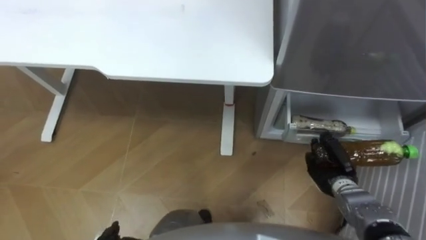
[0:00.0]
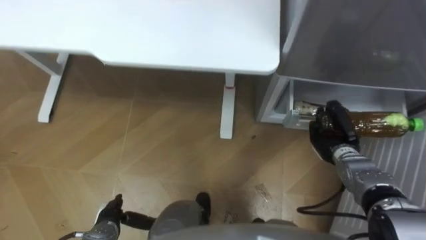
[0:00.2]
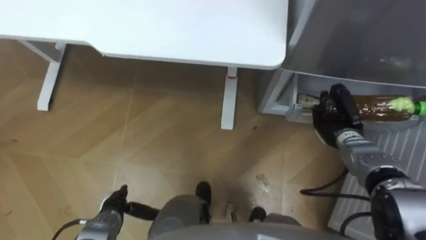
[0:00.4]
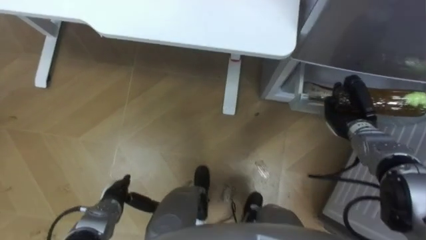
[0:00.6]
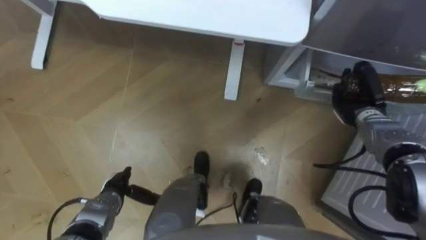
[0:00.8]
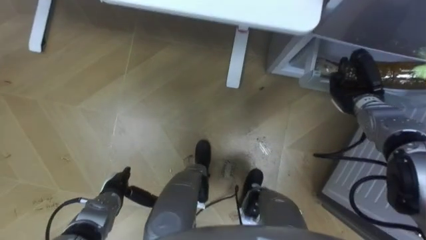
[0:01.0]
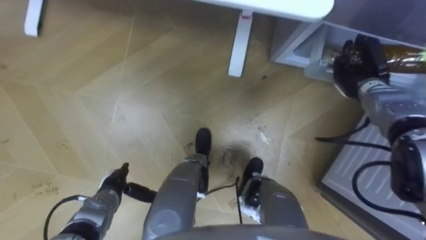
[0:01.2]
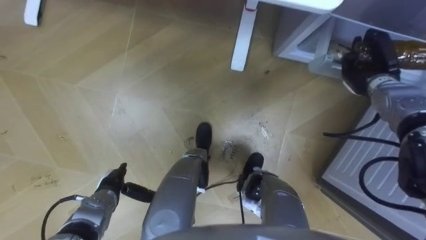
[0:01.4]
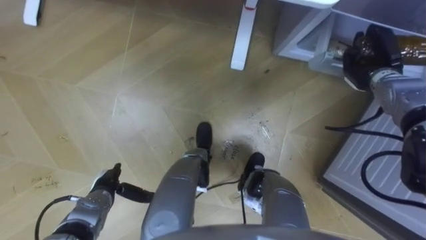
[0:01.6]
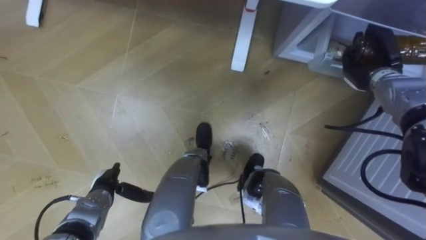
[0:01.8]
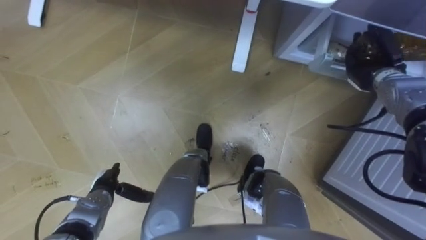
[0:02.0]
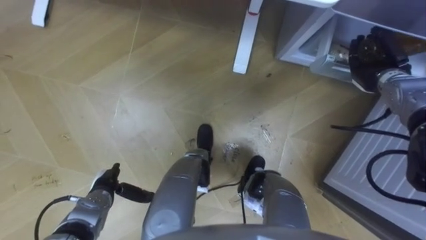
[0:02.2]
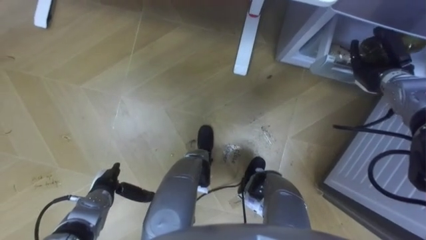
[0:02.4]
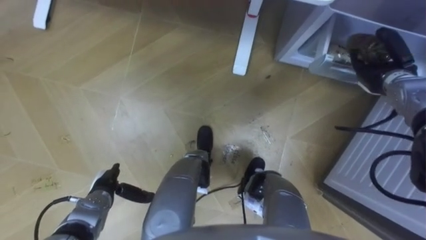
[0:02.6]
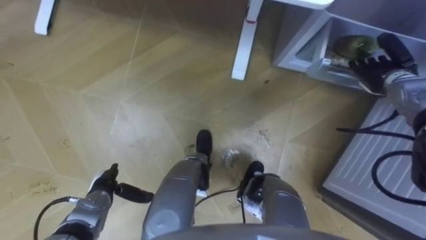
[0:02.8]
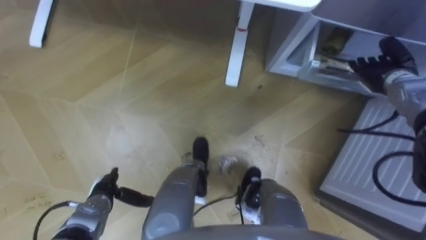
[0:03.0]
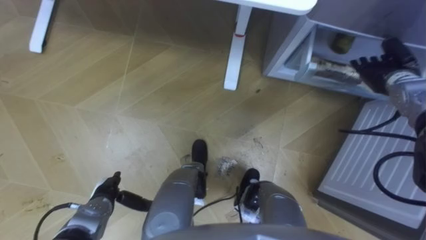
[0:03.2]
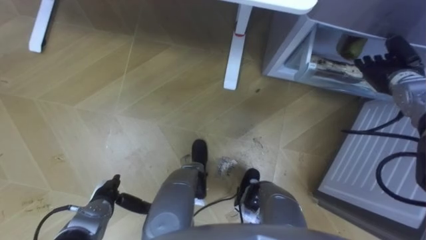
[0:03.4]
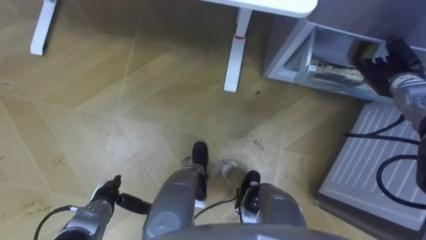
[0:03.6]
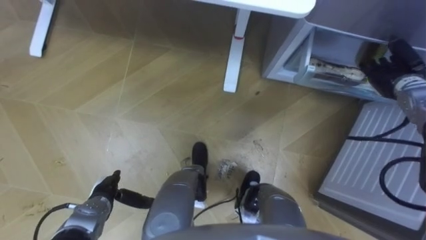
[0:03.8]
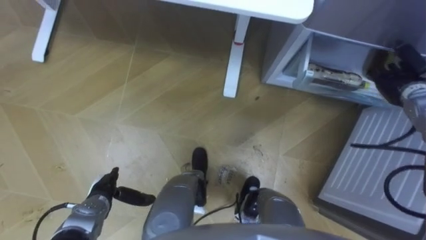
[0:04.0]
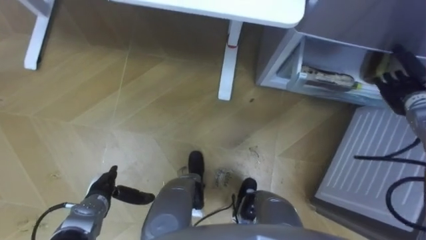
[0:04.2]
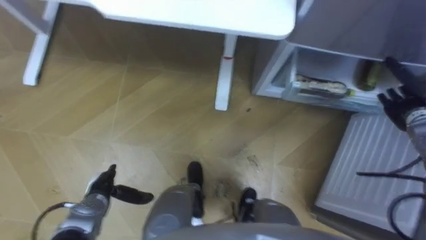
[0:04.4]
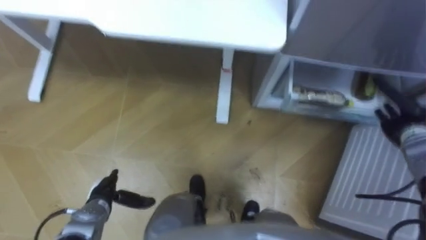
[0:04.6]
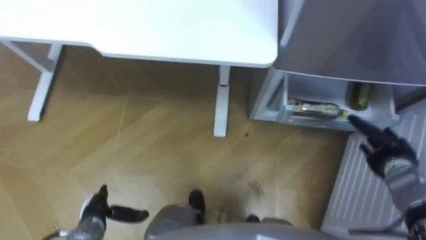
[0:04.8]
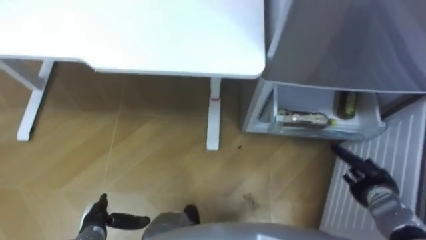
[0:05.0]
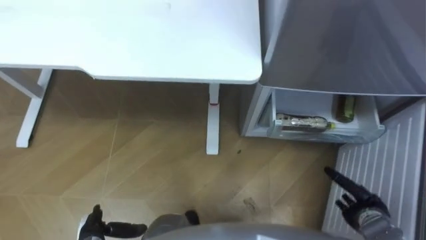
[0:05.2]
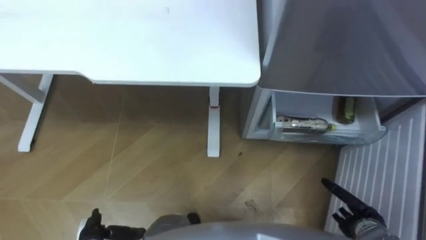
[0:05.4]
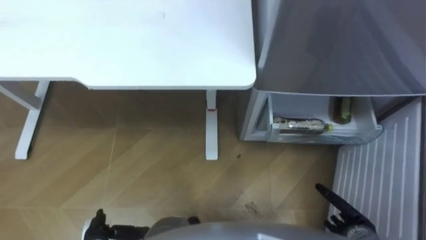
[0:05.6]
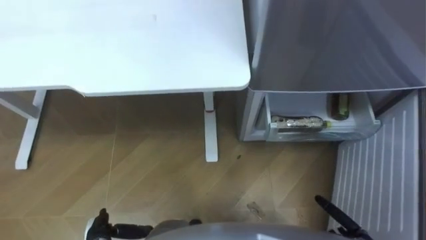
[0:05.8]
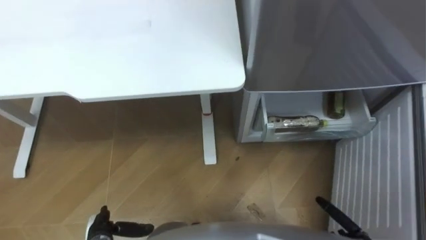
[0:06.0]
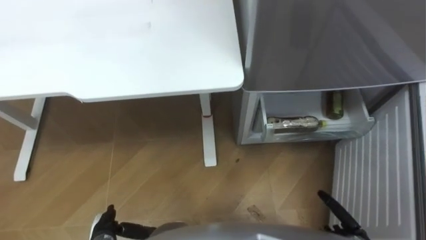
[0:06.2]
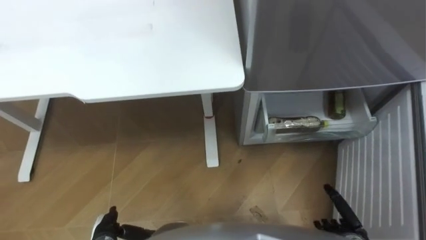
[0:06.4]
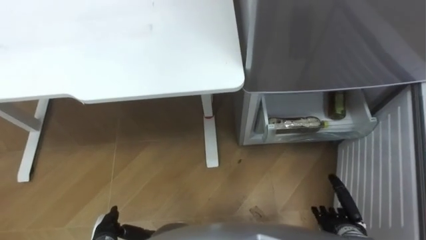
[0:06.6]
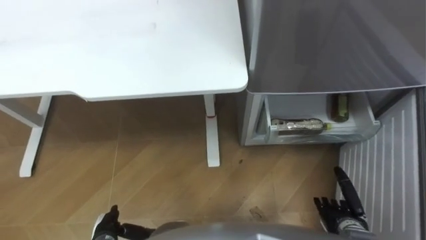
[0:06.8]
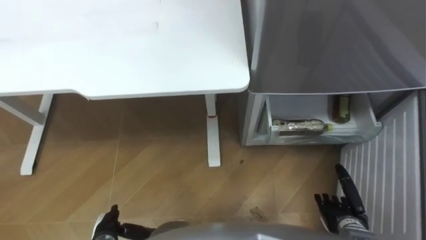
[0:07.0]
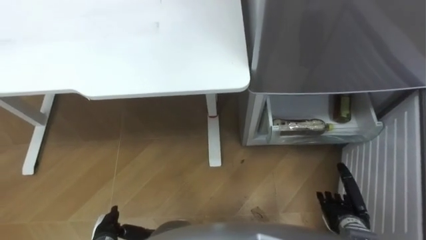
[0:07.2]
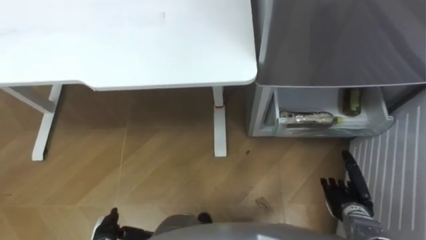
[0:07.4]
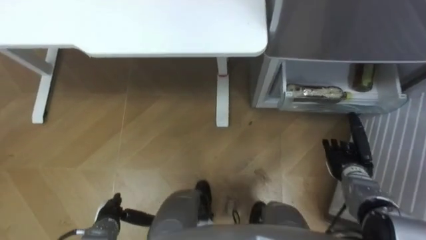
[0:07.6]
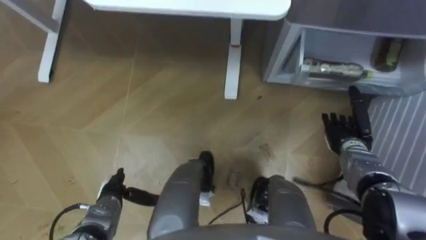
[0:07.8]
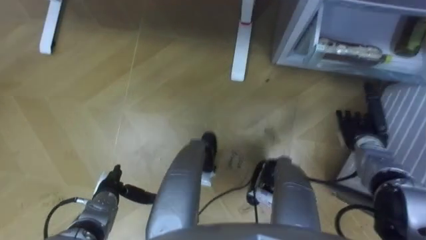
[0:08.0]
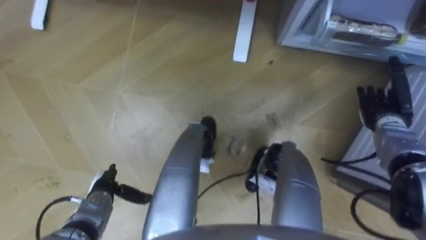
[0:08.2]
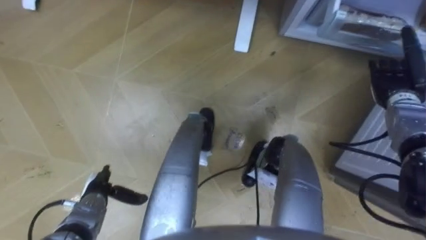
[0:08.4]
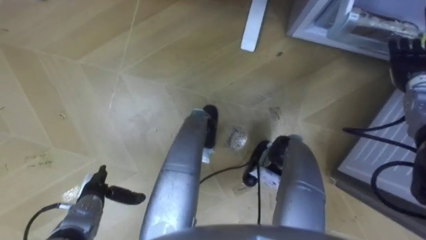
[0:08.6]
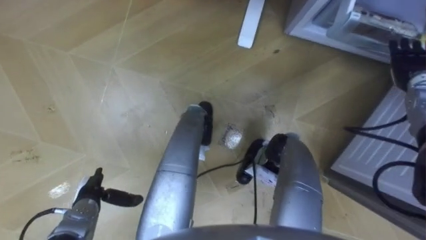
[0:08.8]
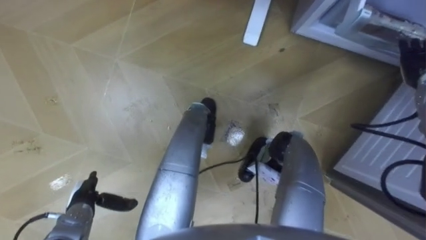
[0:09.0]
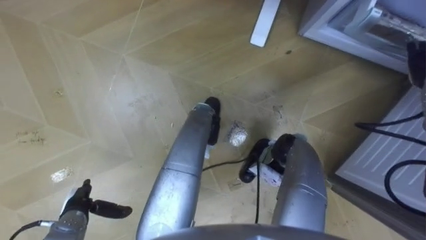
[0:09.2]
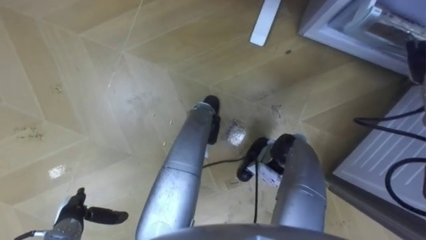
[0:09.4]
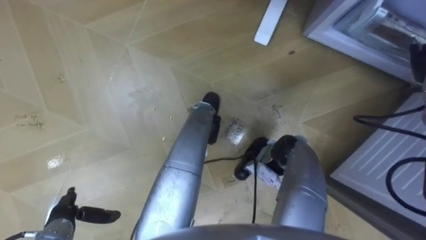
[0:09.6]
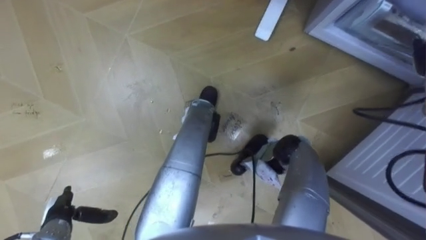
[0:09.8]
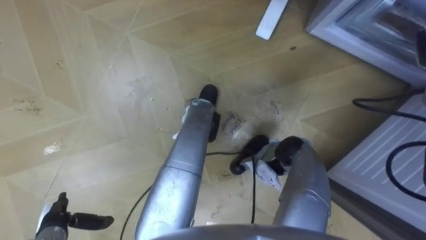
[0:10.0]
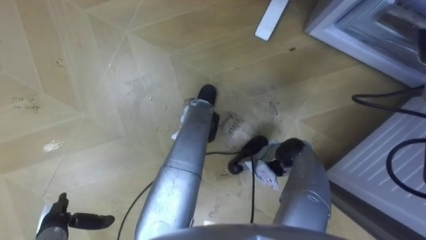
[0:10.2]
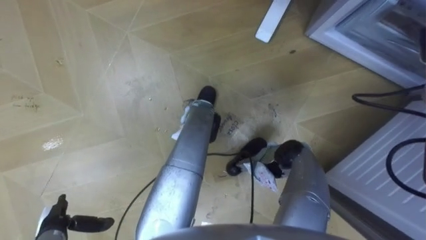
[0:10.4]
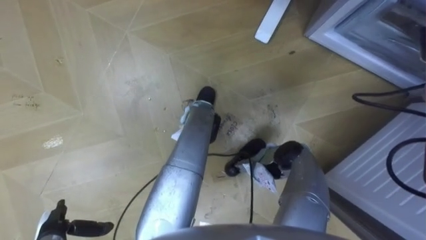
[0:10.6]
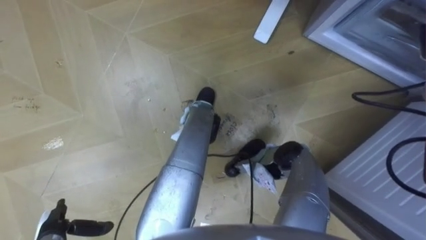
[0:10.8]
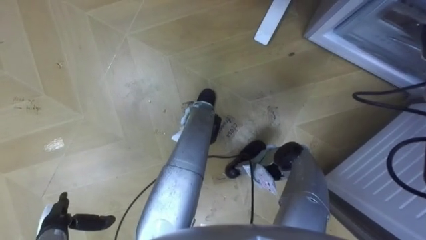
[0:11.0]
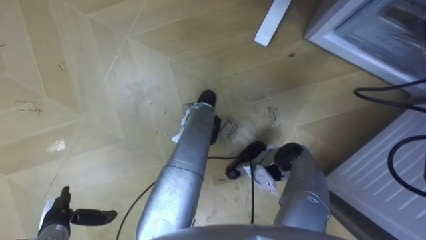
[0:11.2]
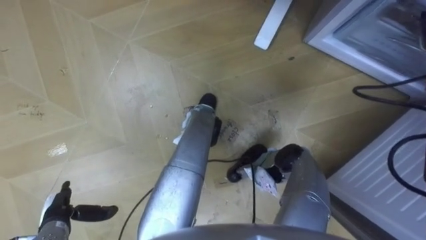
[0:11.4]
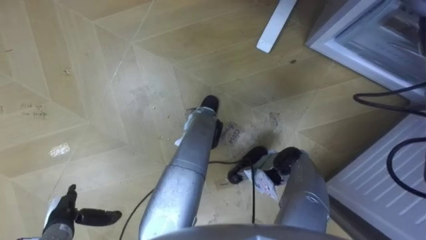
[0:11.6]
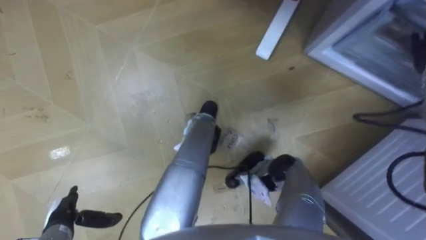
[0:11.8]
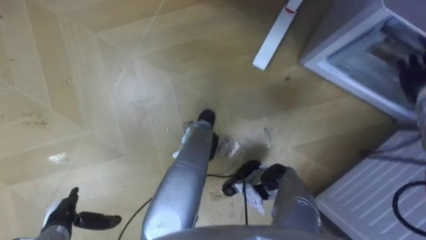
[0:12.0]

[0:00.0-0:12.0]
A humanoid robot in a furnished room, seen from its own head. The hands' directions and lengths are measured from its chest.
Task of the whole recording: Place the drink on the table on the bottom shelf of the refrigerator, then close the drawer and the refrigerator door.
0:00.0 to 0:01.6: The right hand travels forward and upward by about 25 cm.
0:01.6 to 0:03.0: The right hand opens its fingers.
0:03.0 to 0:04.4: The right hand heads backward and to the right, covering approximately 10 cm.
0:07.6 to 0:09.0: The right hand moves upward, forward and to the right, some 25 cm; the left hand is displaced forward by approximately 5 cm.
0:09.0 to 0:10.4: The left hand travels backward and to the left by roughly 10 cm.

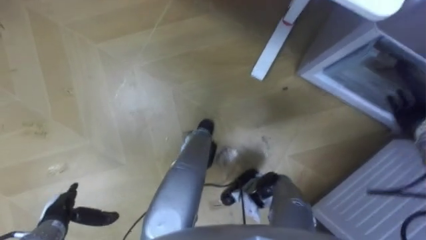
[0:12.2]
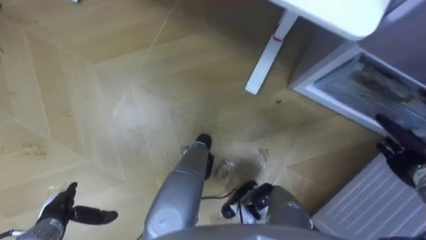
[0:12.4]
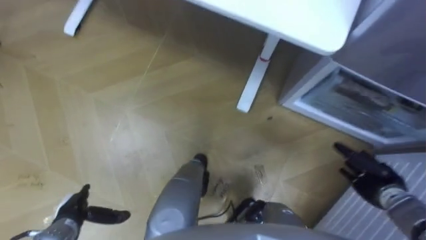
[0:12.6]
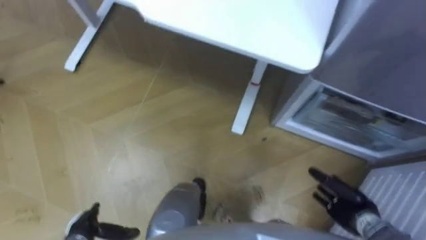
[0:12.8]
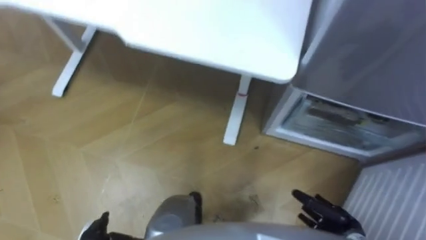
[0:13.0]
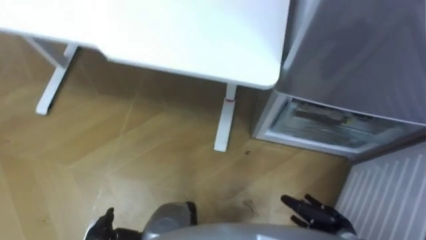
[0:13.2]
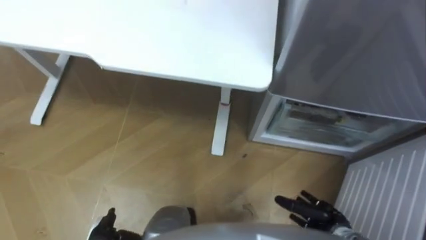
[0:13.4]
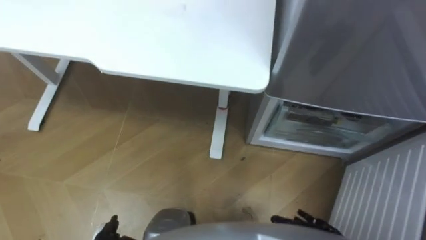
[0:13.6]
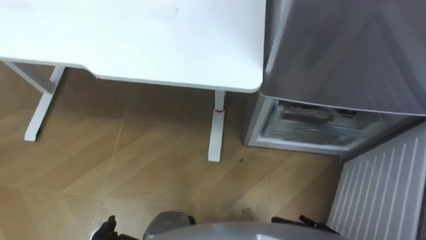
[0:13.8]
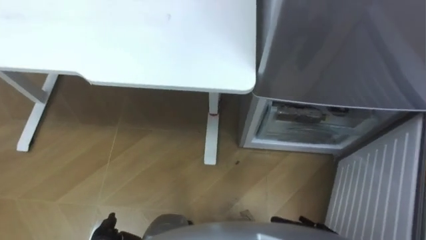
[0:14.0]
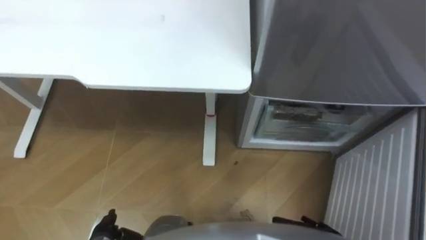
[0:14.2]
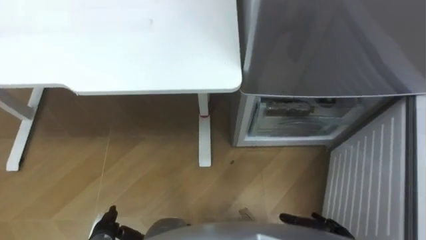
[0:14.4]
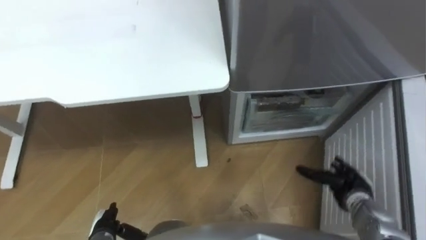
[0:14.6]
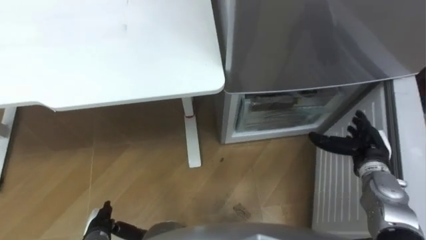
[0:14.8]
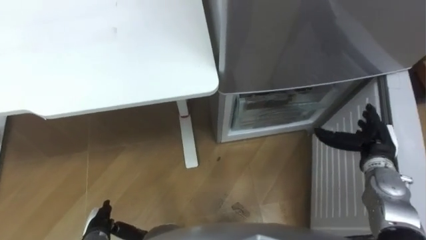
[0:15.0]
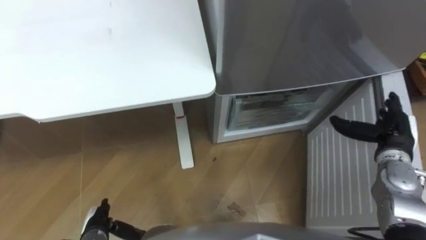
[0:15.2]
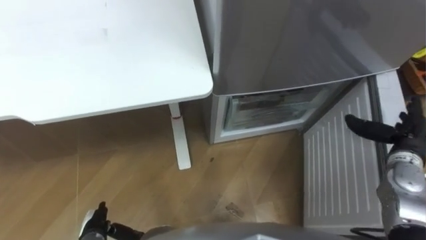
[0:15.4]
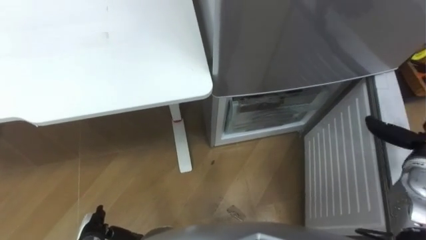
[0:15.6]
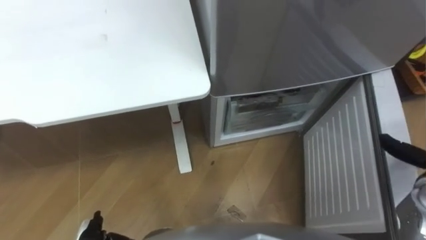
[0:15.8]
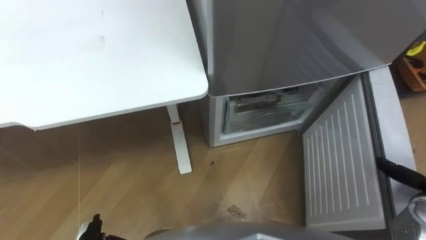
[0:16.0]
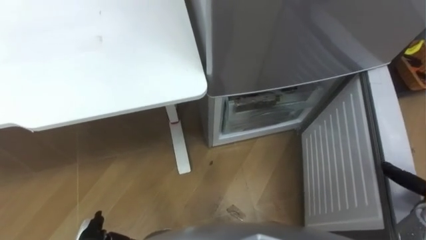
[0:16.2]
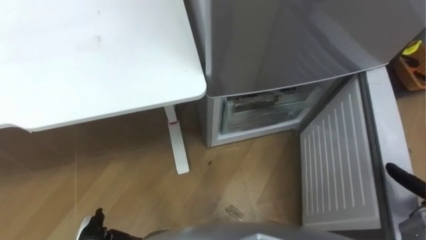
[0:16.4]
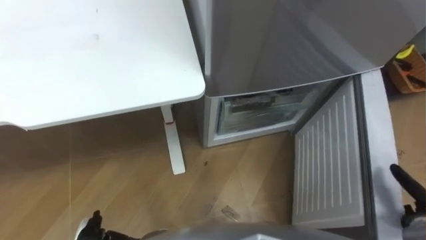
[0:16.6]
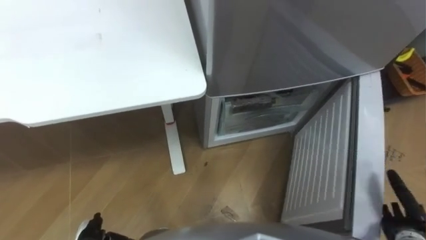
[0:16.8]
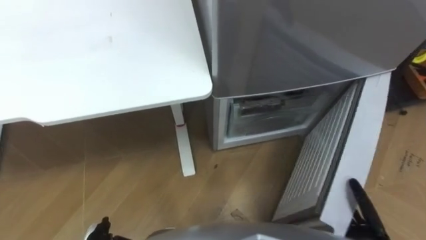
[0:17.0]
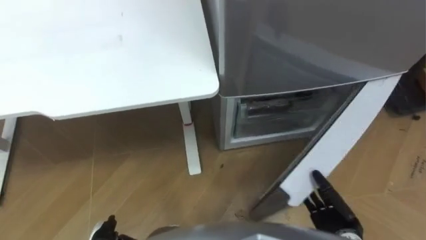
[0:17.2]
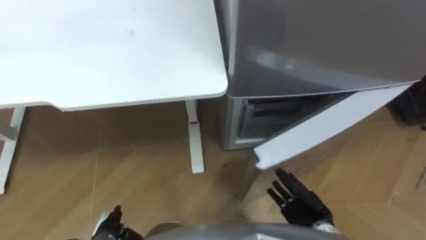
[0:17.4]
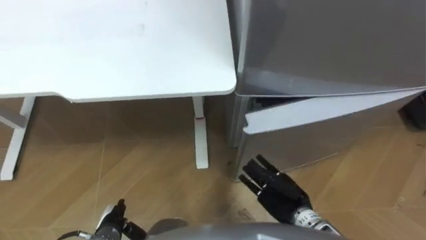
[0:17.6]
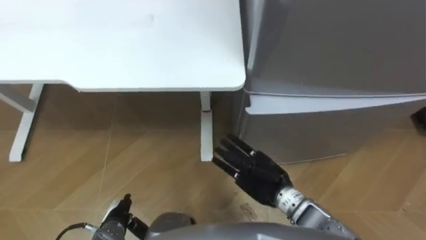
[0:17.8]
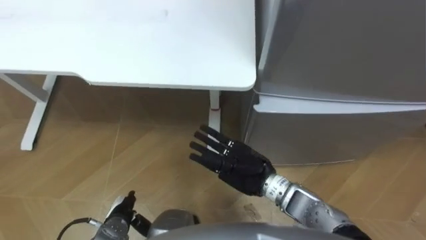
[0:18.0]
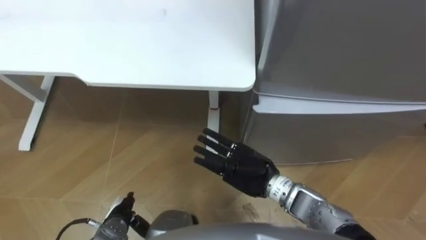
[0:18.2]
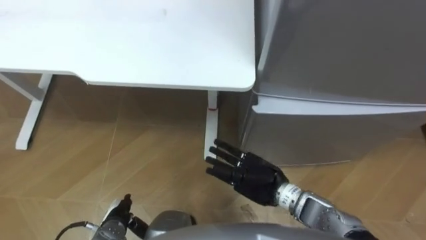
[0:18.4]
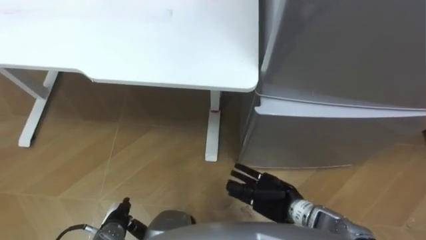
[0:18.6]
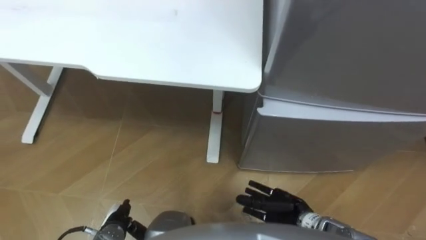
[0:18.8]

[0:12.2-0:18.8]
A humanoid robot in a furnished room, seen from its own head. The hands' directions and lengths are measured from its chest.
Task of the whole recording: Place the drink on the table on the bottom shelf of the refrigerator, then close the drawer and the refrigerator door.
0:15.4 to 0:17.2: The right hand heads backward, downward and to the left, covering roughly 20 cm.
0:17.2 to 0:18.8: The right hand heads to the left, covering some 15 cm.
